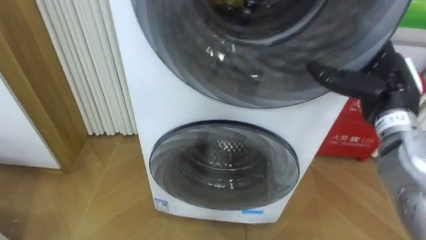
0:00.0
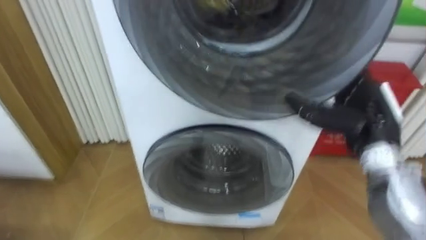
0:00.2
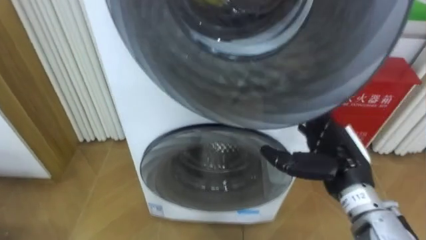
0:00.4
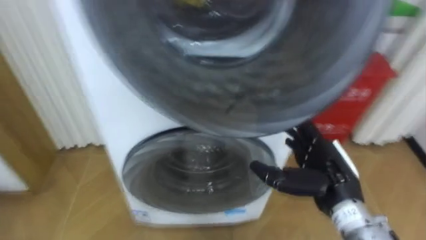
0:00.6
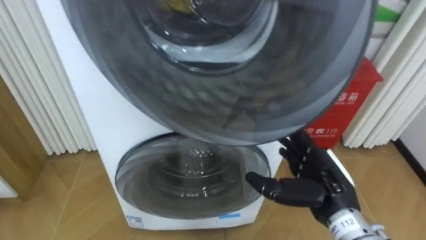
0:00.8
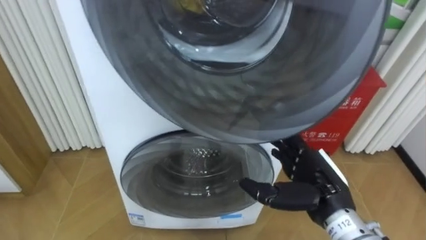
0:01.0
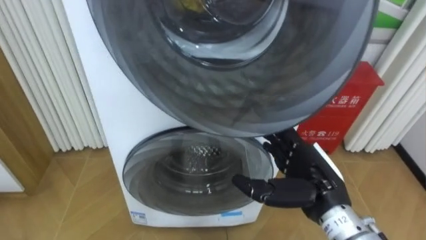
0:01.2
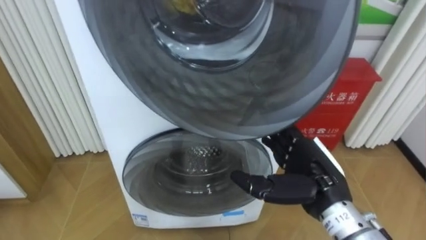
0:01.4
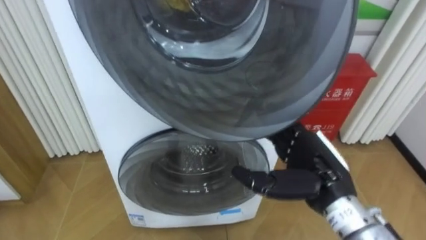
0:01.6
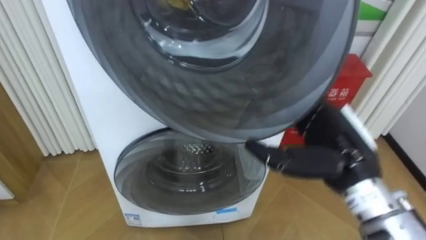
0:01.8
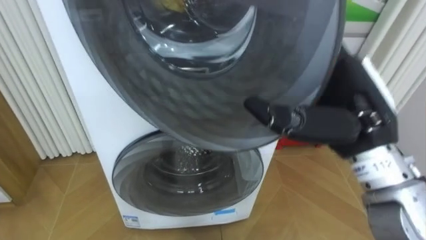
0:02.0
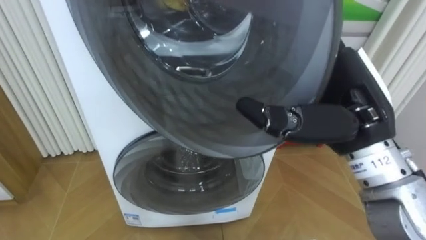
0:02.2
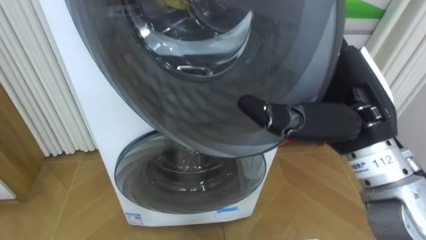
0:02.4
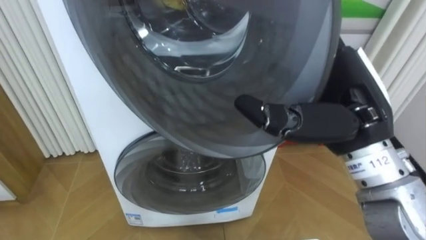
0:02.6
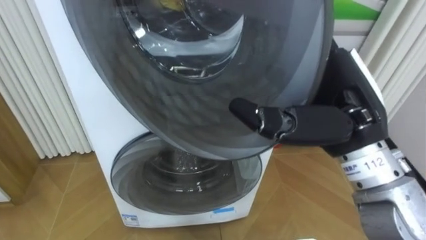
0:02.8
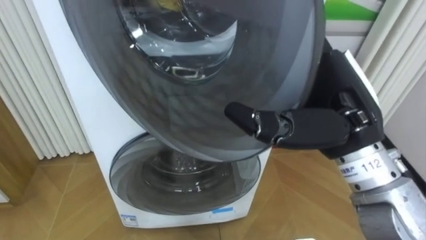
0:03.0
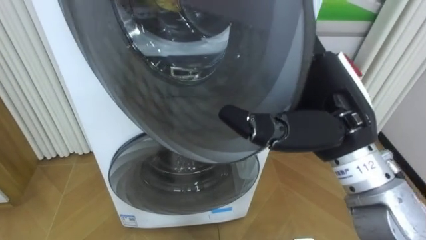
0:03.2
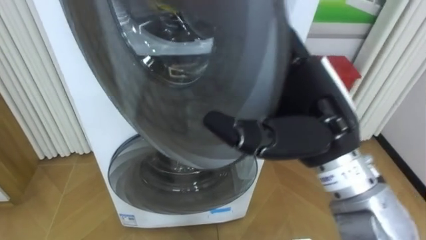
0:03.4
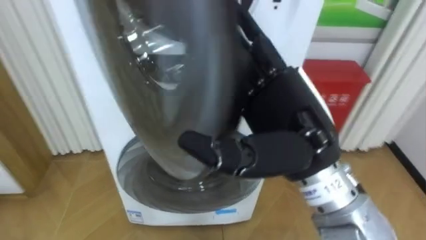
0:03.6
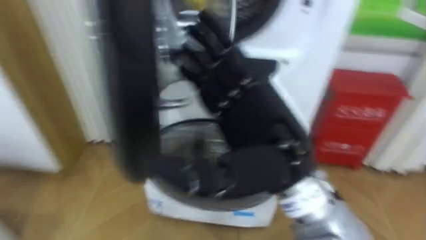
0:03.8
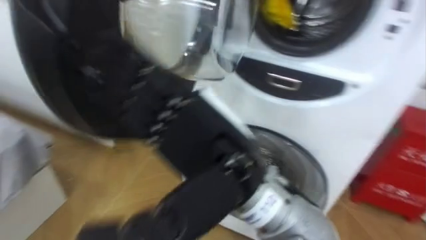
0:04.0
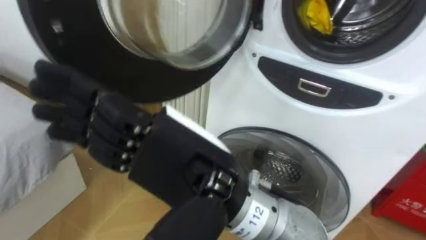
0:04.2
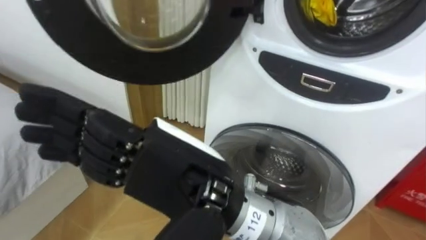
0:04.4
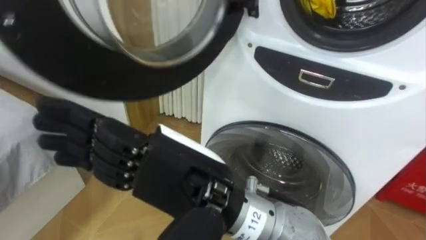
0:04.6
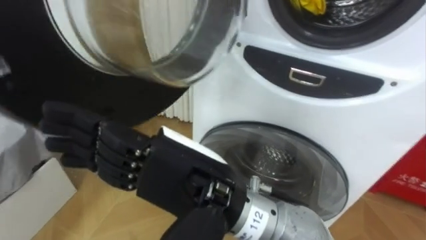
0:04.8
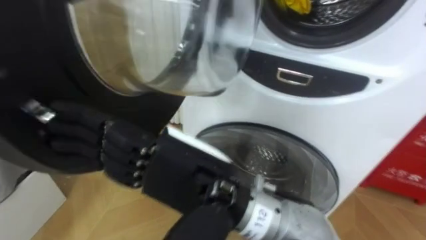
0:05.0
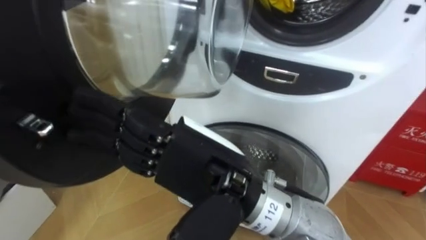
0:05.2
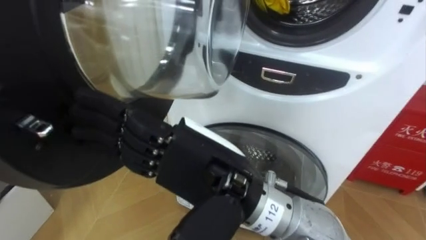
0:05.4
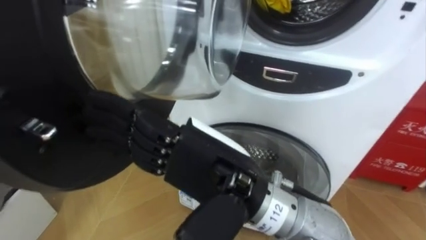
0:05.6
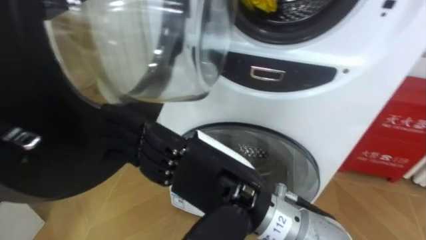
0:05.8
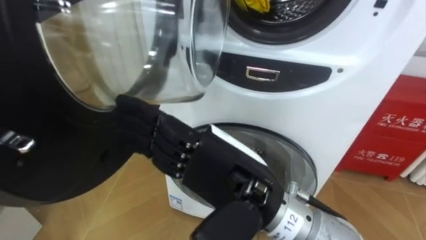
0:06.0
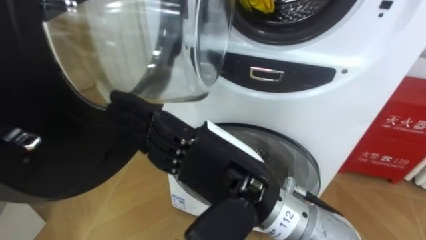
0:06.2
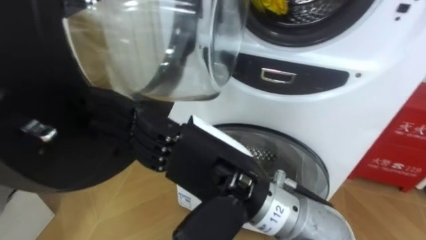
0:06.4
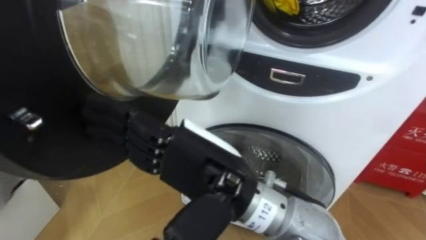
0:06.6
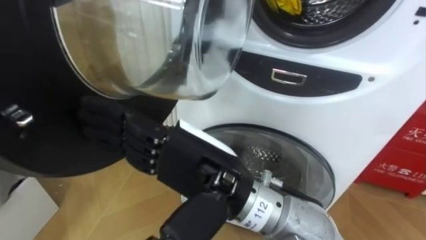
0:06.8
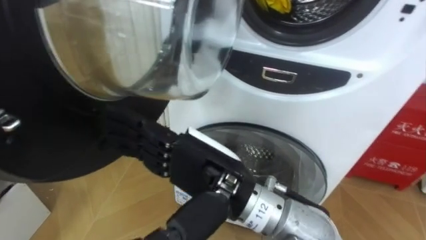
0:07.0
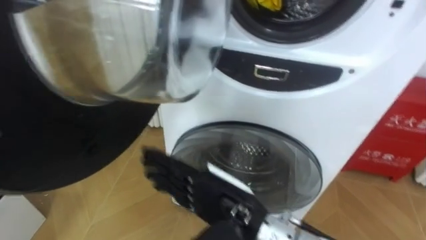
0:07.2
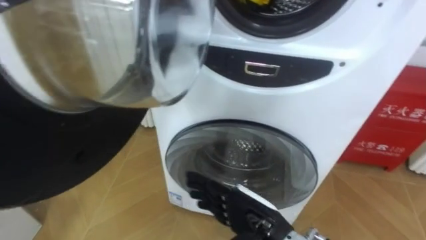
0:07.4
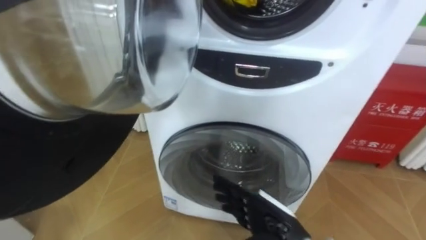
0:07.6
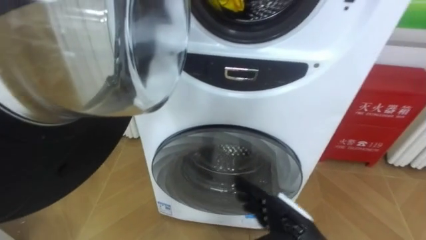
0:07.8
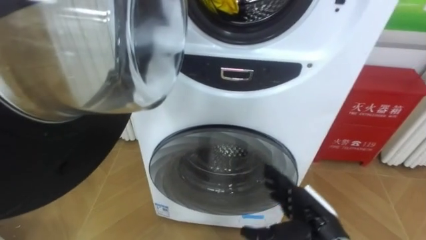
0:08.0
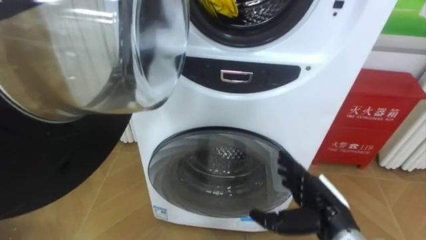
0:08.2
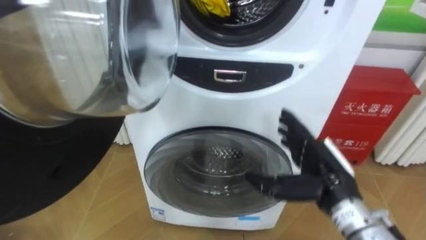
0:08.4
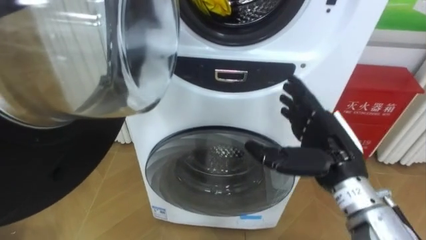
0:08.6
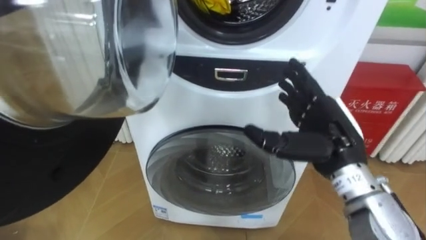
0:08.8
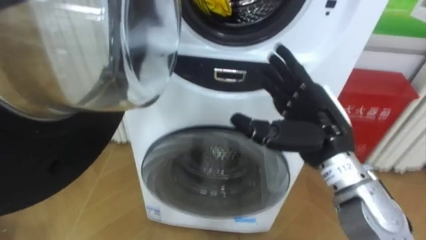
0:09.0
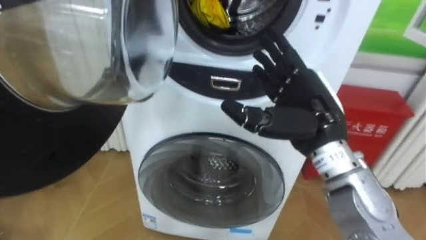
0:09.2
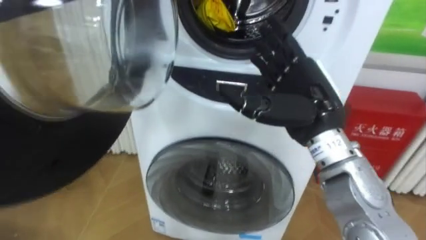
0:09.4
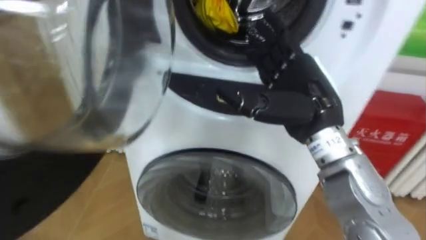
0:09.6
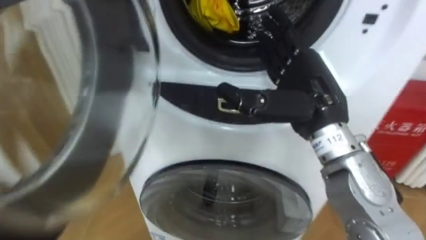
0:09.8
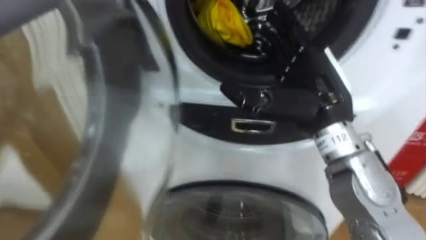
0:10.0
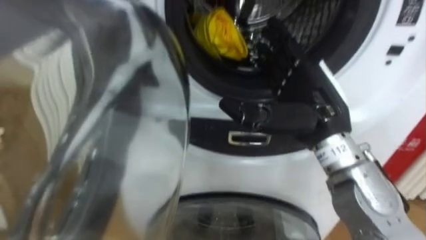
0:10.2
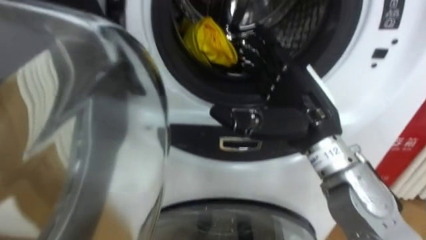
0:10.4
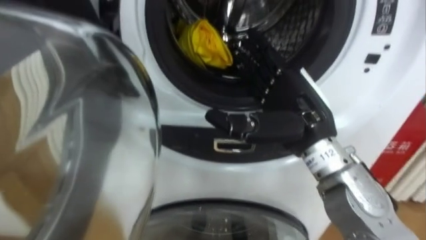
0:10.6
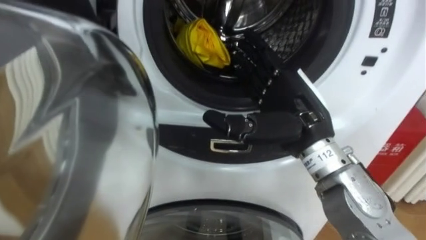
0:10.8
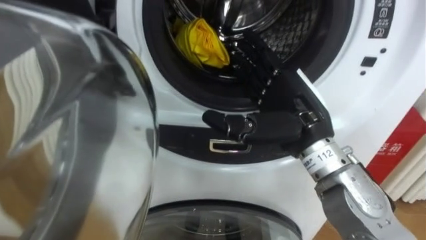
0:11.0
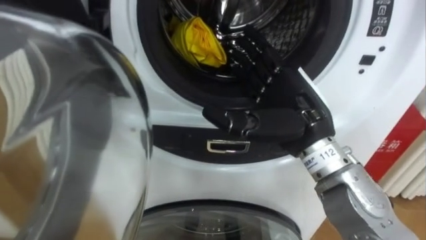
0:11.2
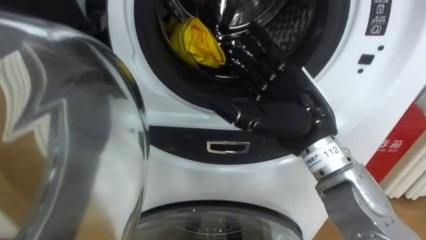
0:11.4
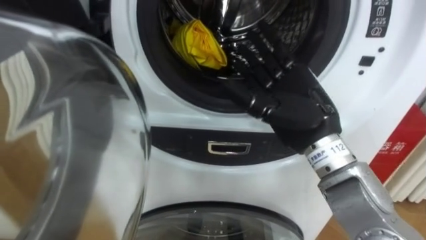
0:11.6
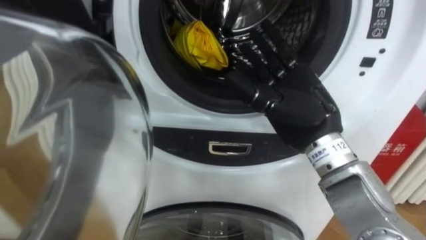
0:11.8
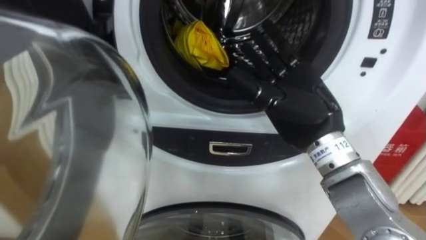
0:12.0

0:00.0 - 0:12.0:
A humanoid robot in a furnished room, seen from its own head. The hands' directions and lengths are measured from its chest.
Task of the whole recording: Open the washing machine door, take out the yellow clothes, place them in the box on the right, and close the washing machine door.
0:00.0 - 0:01.6: The right hand moves to the left, backward and downward, approximately 15 cm.
0:01.6 - 0:03.0: The right hand shifts approximately 15 cm upward.
0:03.0 - 0:04.4: The right hand moves to the left and backward, some 20 cm.
0:04.4 - 0:06.0: The right hand shifts by about 5 cm.
0:06.0 - 0:07.6: The right hand shifts about 20 cm downward.
0:07.6 - 0:09.0: The right hand shifts about 15 cm upward and forward.

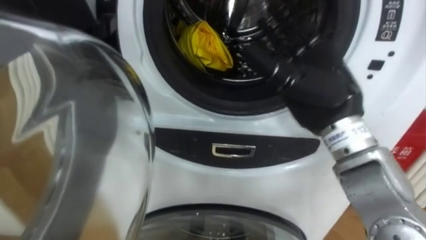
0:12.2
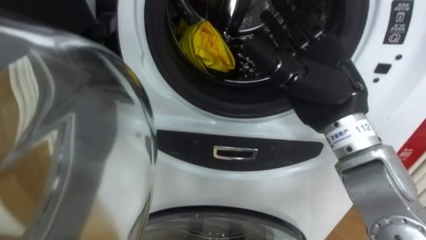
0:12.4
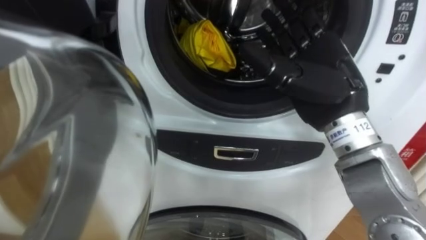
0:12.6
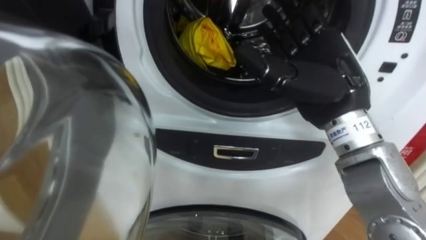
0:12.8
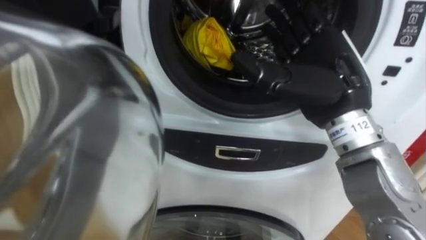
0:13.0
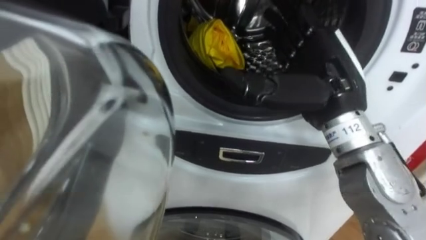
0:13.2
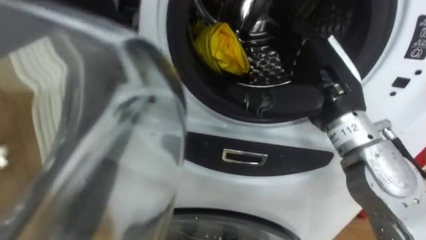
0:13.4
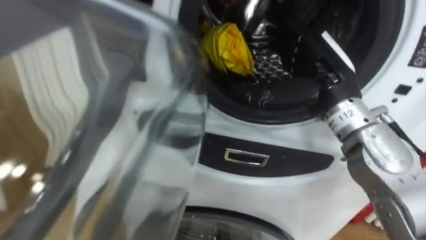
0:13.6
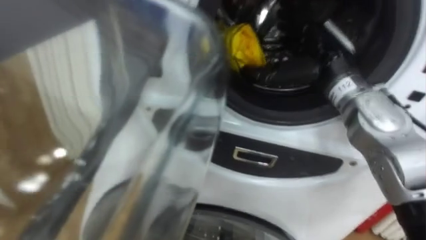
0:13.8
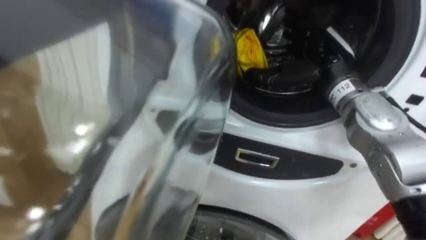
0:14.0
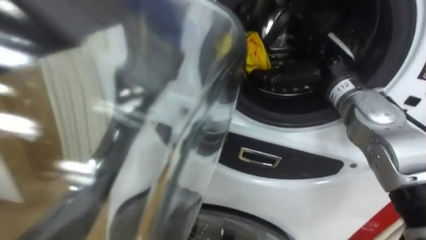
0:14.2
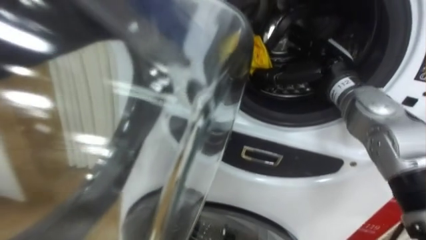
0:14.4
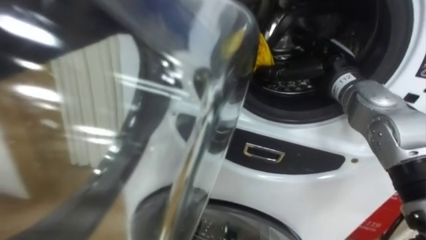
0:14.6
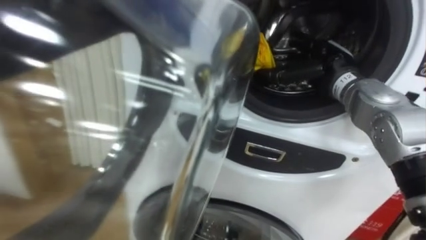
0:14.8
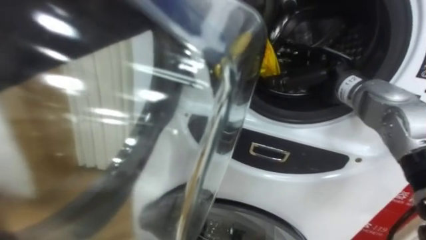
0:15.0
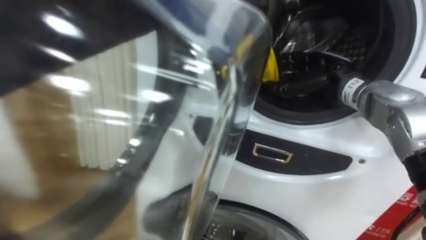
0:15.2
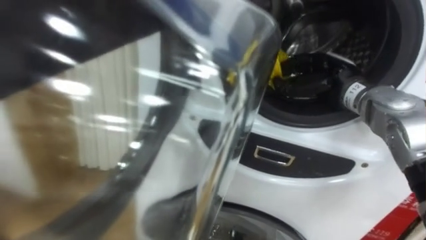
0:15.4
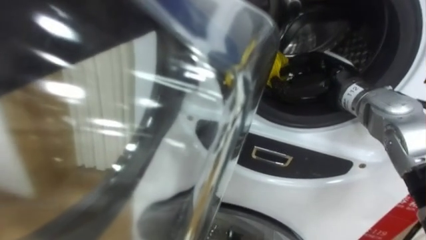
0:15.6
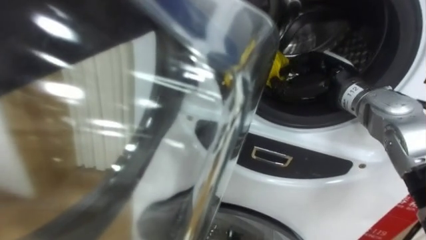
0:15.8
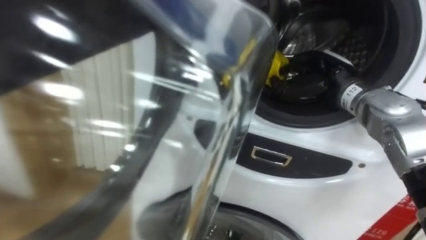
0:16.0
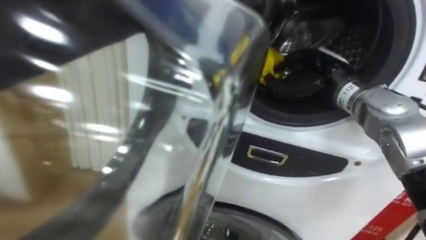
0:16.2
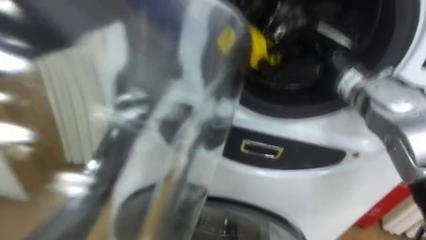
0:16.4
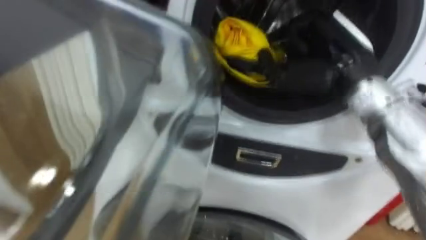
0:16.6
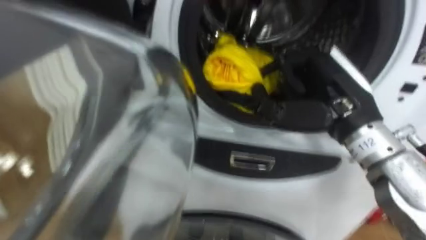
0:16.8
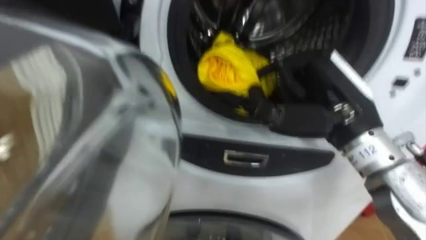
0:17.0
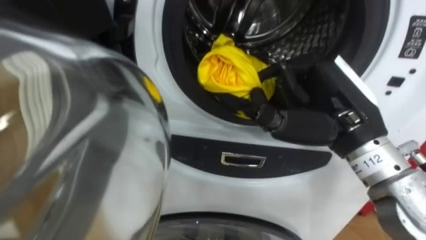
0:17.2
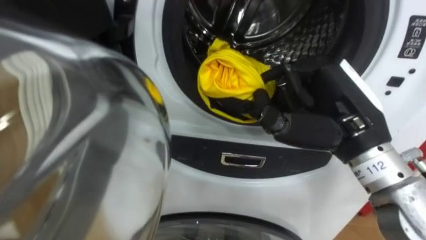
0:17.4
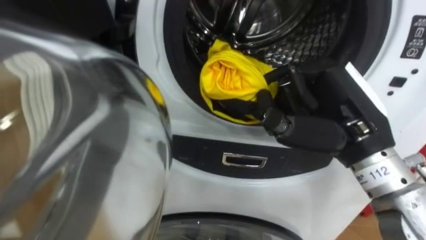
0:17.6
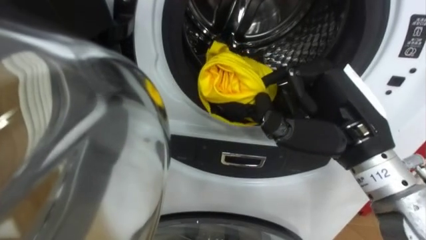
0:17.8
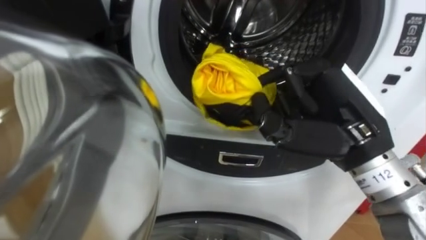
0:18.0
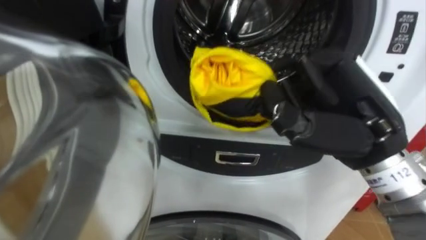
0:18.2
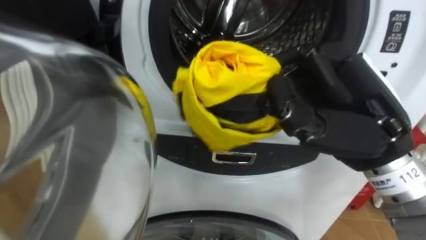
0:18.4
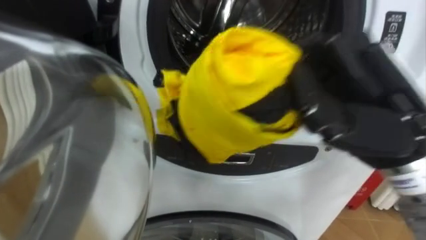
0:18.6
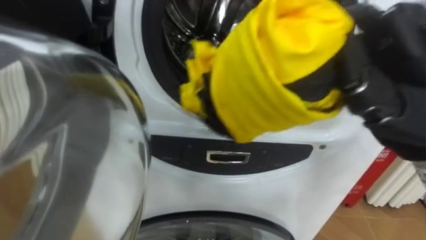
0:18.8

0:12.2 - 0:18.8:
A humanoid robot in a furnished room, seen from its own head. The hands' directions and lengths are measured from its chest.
Task of the whole recording: Open the washing machine door, take out the yellow clothes, place them in the box on the right, and close the washing machine door.
0:12.2 - 0:13.8: The right hand is displaced forward by roughly 10 cm.
0:13.8 - 0:15.4: The right hand shifts about 5 cm downward, and closes.
0:15.4 - 0:17.2: The right hand is displaced backward and upward by roughly 15 cm.
0:17.2 - 0:18.8: The right hand heads upward and backward, covering about 10 cm.
